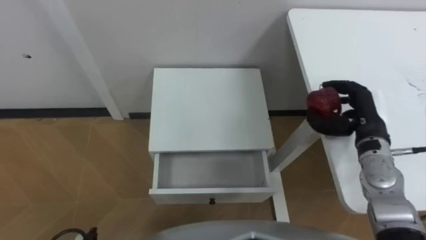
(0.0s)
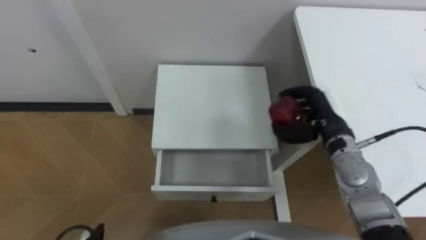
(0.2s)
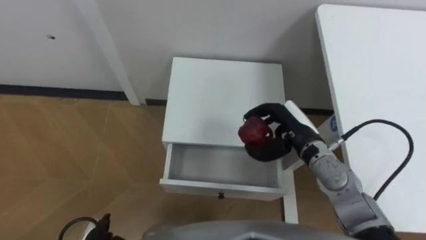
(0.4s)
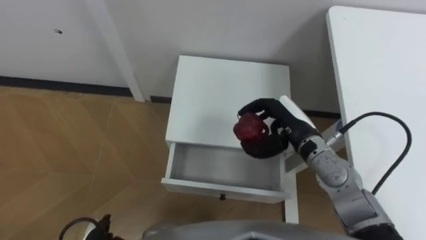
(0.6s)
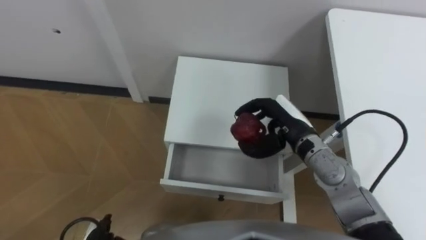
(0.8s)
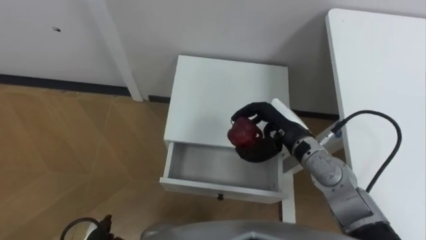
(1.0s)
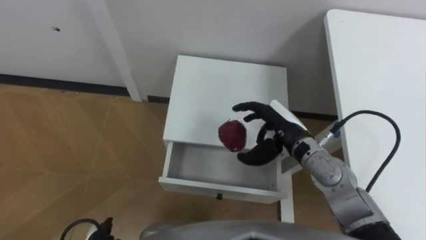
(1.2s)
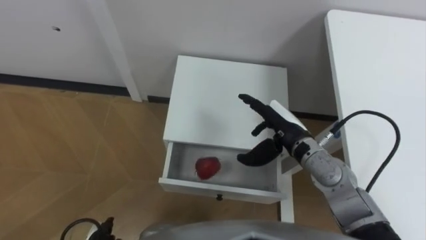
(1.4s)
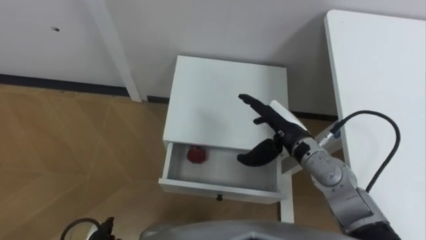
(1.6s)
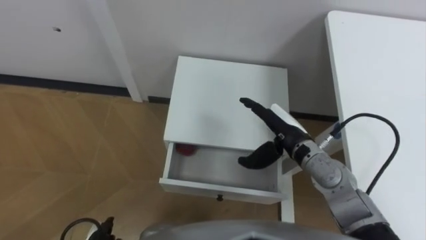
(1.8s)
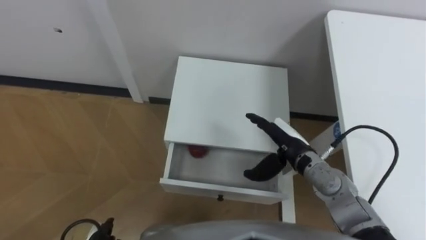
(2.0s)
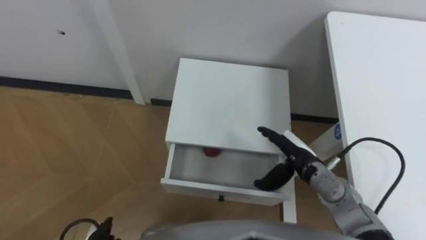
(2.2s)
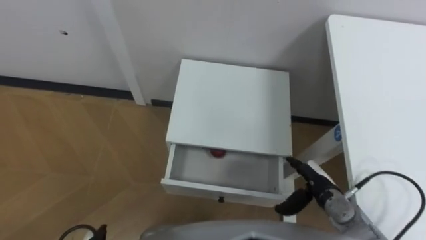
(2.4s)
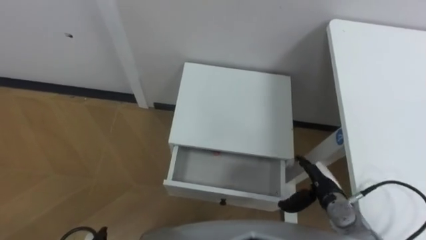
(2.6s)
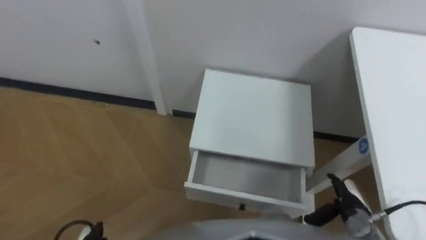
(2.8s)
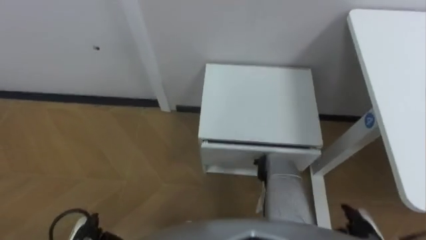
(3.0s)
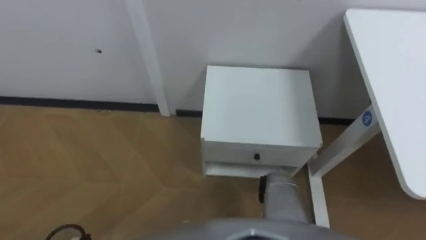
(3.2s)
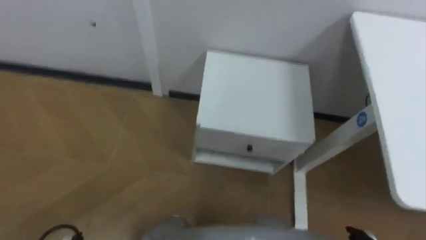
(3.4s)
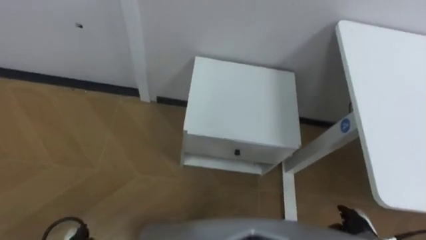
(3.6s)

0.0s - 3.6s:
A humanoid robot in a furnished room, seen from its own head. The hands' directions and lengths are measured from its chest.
Task of the whole recording: Pick up the apple from the table, put it in the drawer, and close the drawer with leg.
0.0s - 1.8s: The right hand travels to the left by about 15 cm, and opens up.

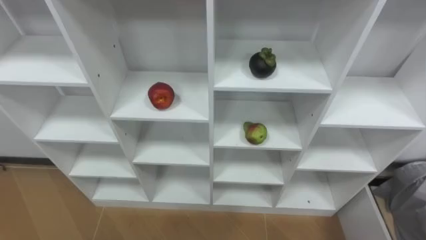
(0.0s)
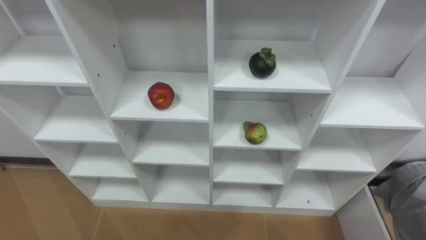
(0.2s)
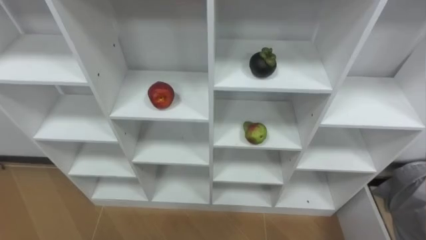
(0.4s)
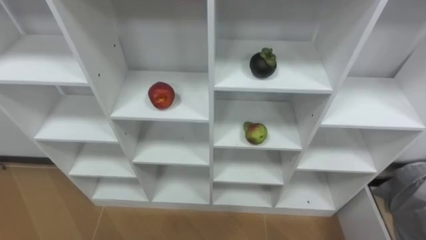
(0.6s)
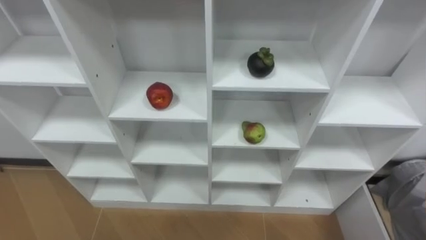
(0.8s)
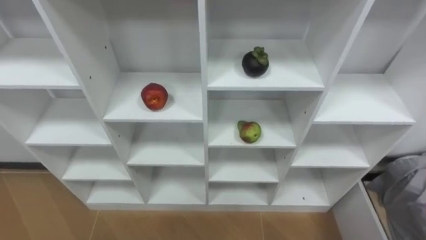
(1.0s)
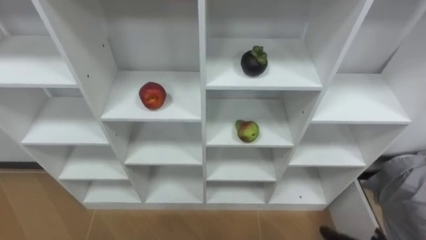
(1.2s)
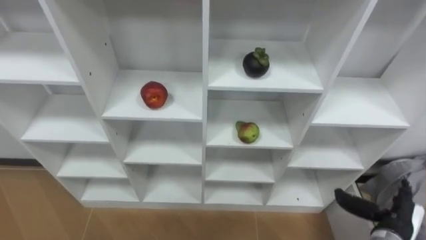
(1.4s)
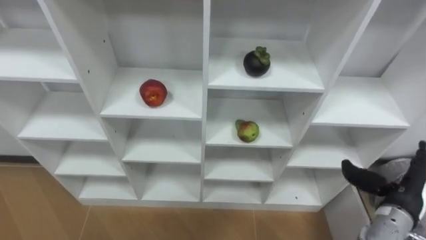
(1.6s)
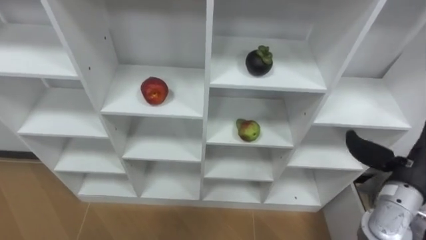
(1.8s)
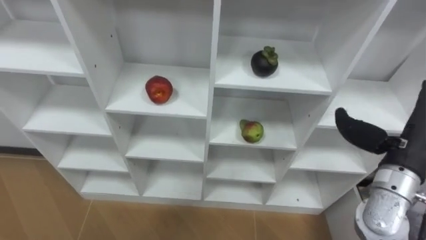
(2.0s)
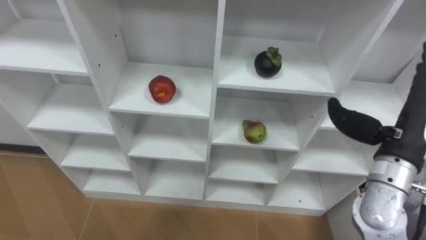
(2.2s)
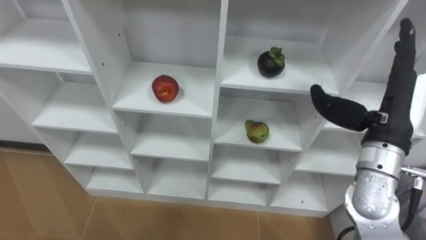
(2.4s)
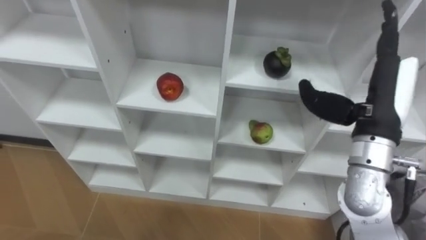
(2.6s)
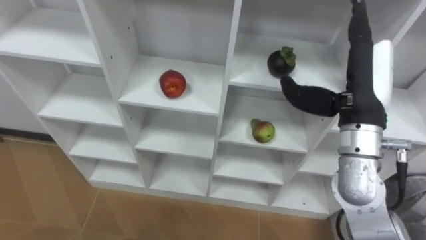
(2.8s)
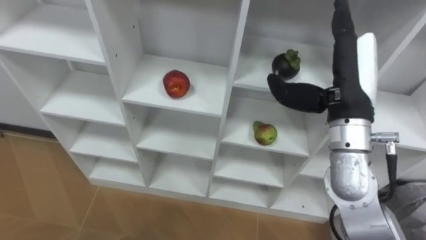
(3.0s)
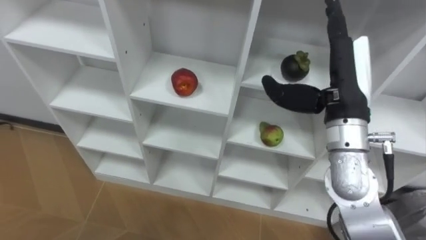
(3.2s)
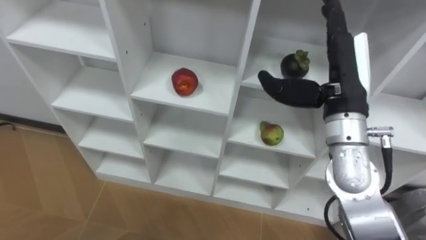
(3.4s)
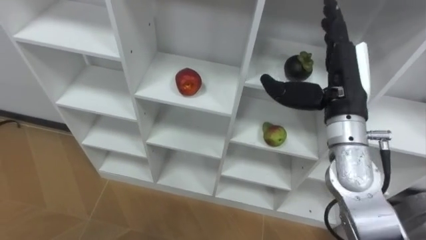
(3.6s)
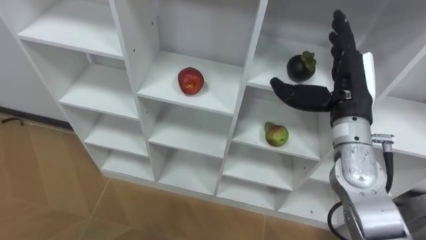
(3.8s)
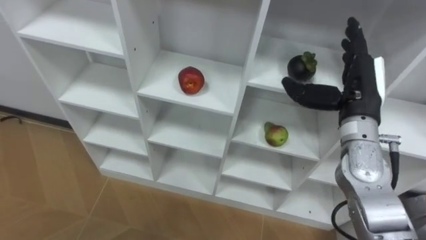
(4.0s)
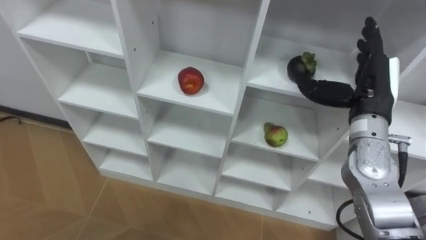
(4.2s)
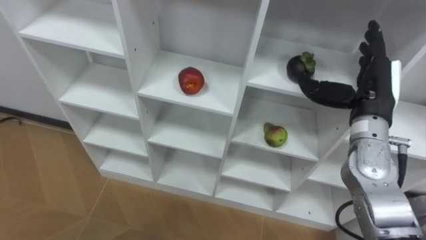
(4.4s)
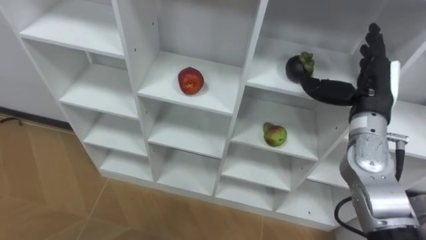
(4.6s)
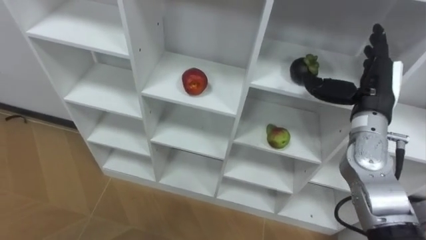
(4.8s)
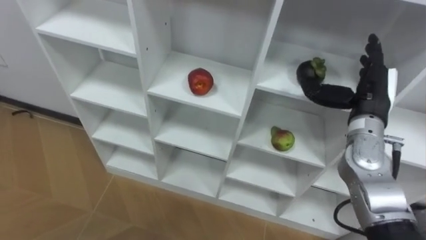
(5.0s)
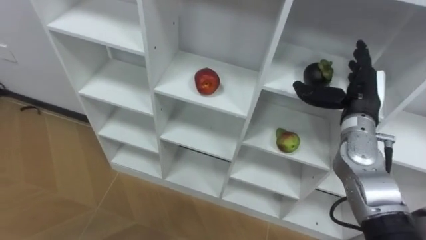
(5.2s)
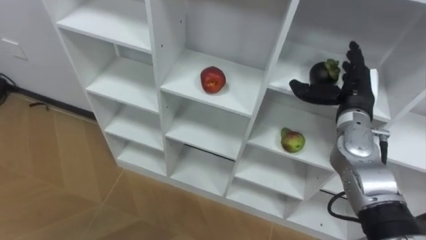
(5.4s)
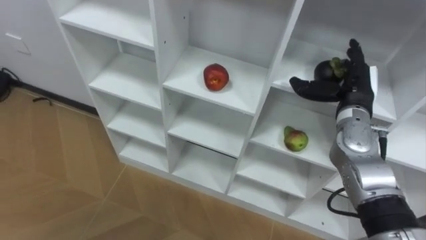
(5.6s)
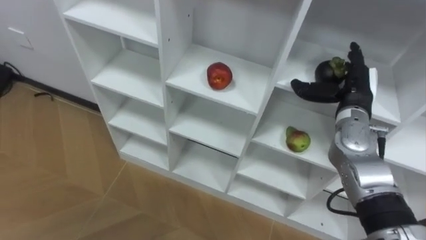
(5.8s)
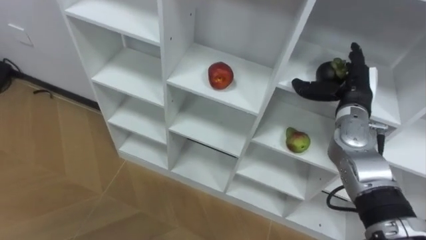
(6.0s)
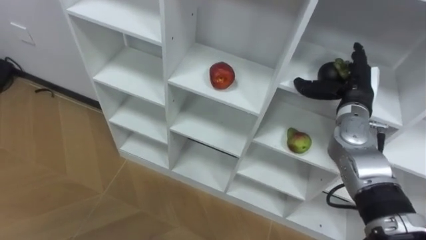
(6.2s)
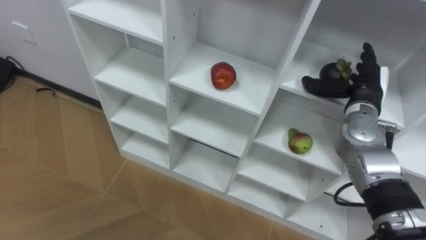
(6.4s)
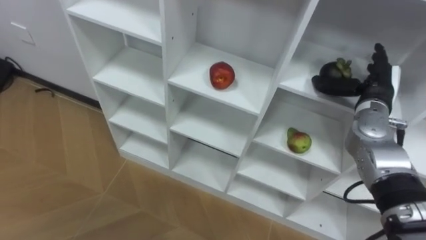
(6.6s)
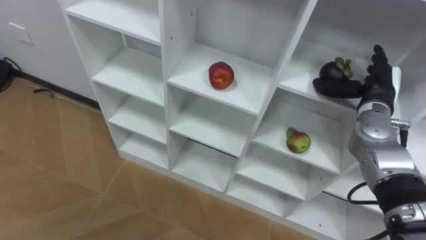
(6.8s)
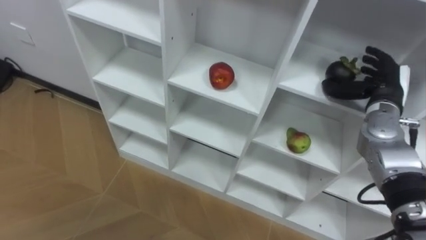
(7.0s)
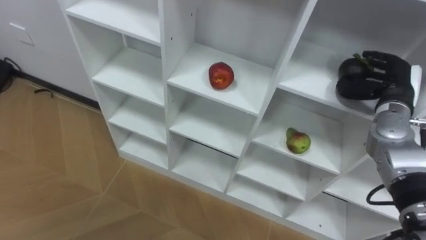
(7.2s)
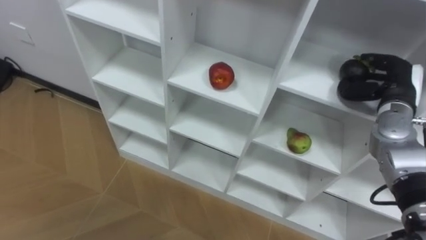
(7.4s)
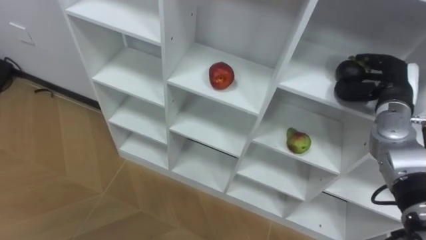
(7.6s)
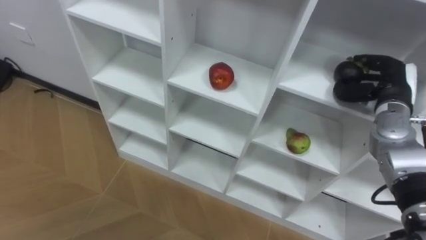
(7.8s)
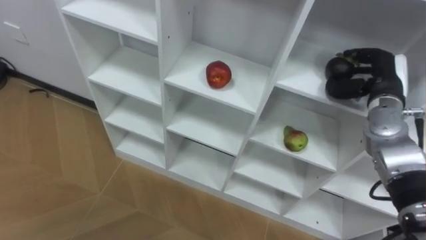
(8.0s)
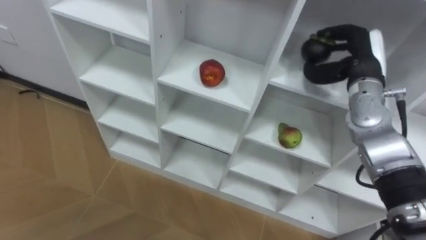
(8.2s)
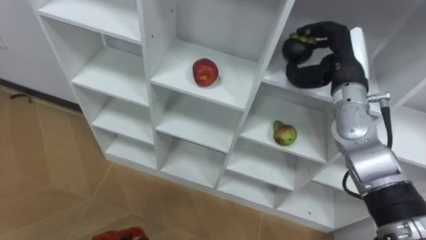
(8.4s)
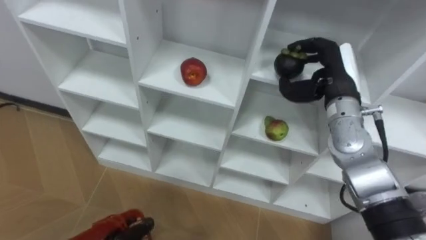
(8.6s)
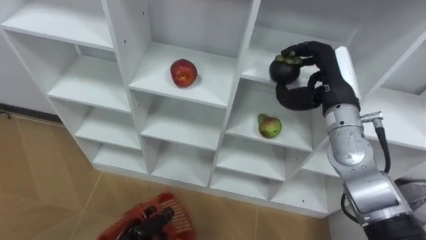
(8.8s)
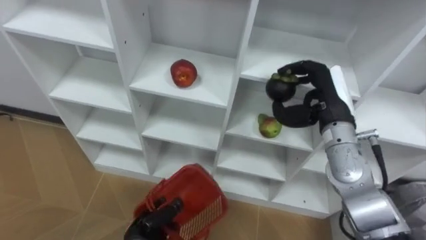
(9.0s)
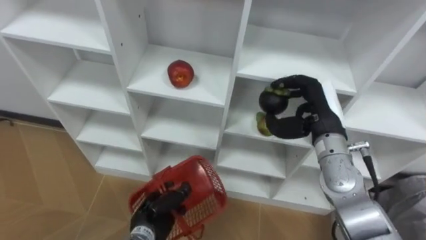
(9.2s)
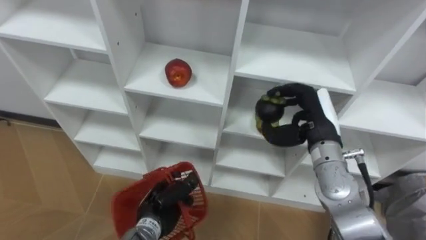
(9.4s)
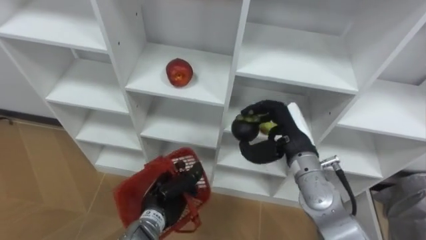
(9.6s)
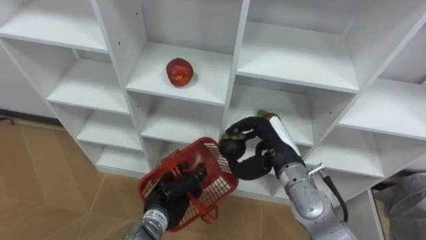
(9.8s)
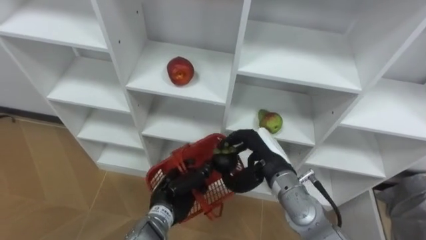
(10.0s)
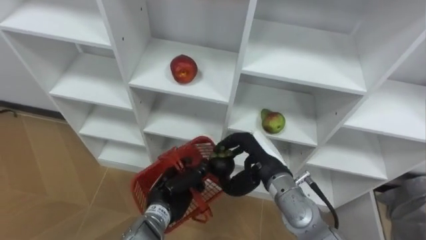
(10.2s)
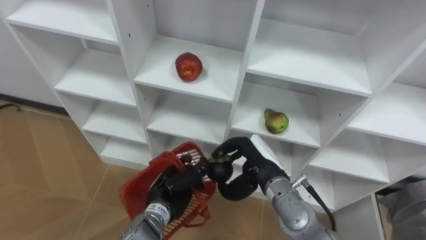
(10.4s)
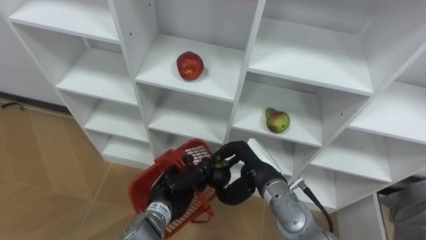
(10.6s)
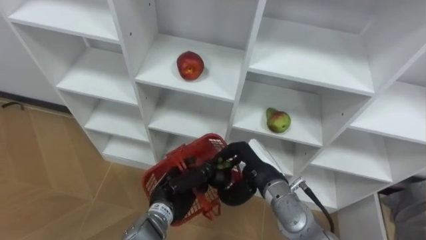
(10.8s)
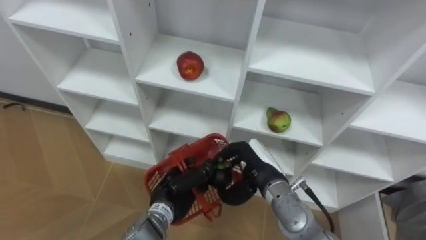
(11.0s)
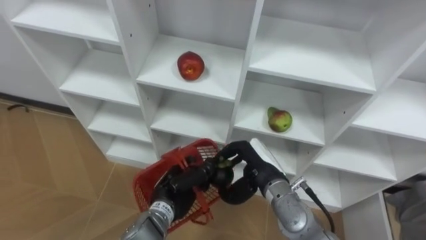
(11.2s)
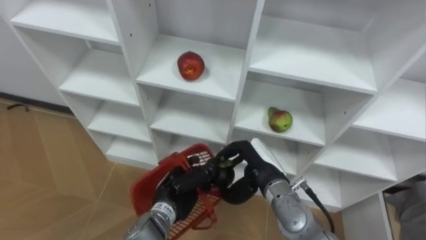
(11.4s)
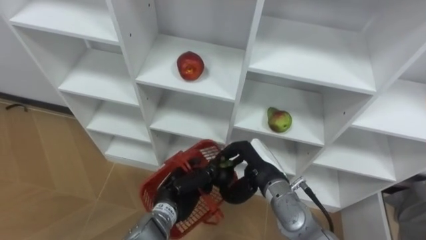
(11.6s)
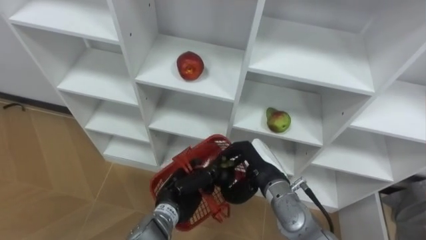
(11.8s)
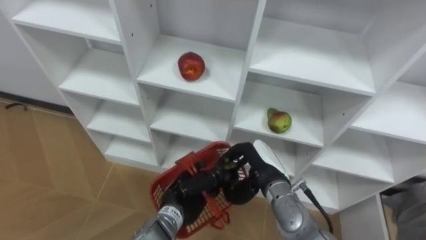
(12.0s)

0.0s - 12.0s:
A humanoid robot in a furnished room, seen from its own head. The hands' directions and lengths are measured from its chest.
Task of the whole recording: Hold the basket and collect the fruits from 3 different cells of the closet into it.
1.6s - 3.0s: The right hand travels upward, to the left and forward by roughly 25 cm.
3.0s - 4.4s: The right hand shifts roughly 10 cm to the right and downward.
4.4s - 6.0s: The right hand travels downward by approximately 5 cm.
6.0s - 7.6s: The right hand heads to the right, covering approximately 5 cm, and closes.
7.6s - 9.0s: The right hand goes approximately 10 cm to the left.
9.0s - 10.4s: The right hand travels downward, to the left and backward by roughly 15 cm. The left hand heads upward, forward and to the right, covering some 10 cm.

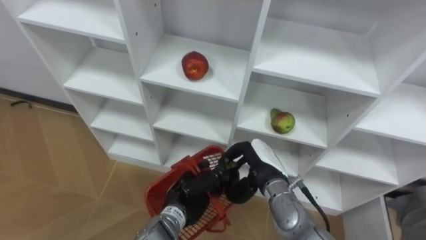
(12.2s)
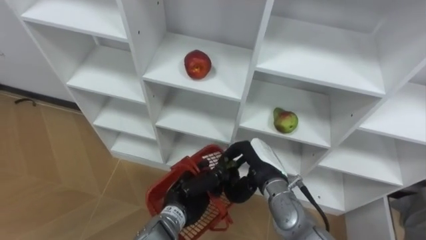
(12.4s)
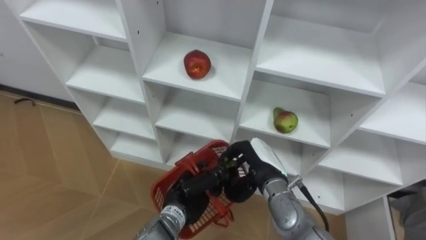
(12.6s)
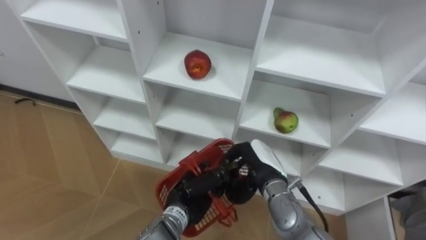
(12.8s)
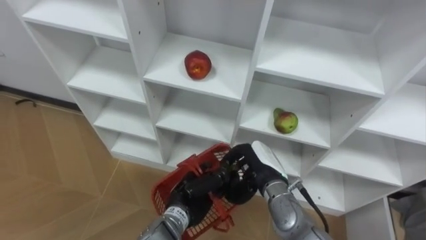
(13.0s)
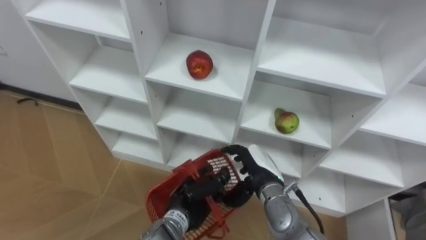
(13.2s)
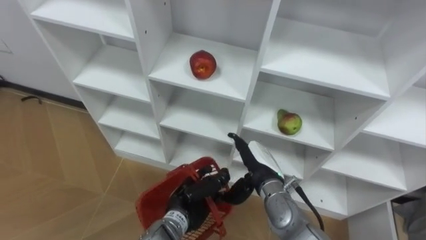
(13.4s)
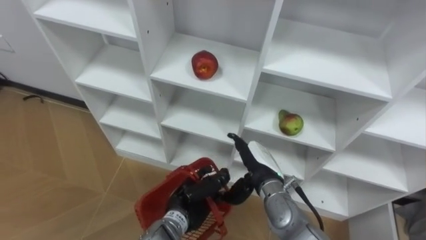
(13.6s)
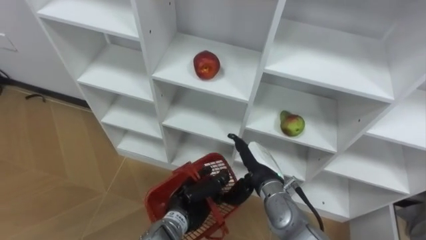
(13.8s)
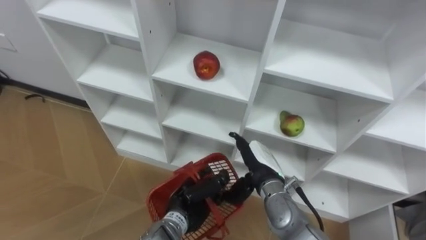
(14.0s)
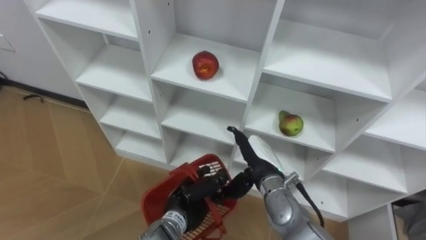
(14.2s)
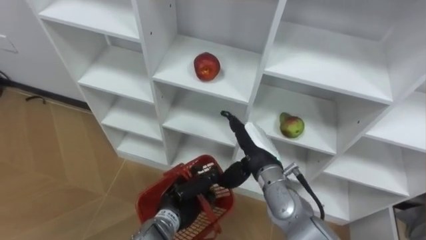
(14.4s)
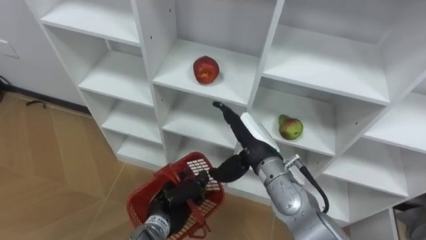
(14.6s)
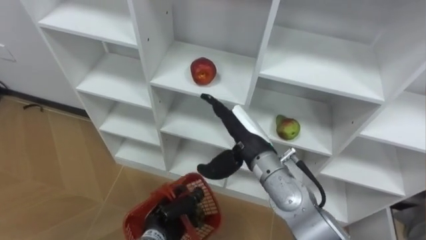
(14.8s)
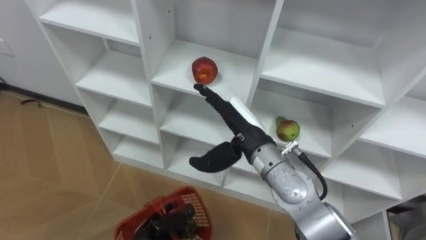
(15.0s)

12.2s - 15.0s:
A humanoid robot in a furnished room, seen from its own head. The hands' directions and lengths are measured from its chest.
Task of the whole recording: Hold the basket and collect the fruits from 3 different cells of the closet into it.
12.2s - 13.6s: The right hand opens.
13.6s - 15.0s: The right hand moves upward, about 10 cm; the left hand is displaced to the left, downward and backward by about 10 cm.
